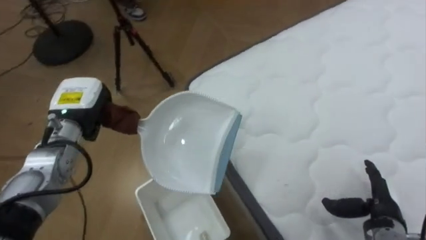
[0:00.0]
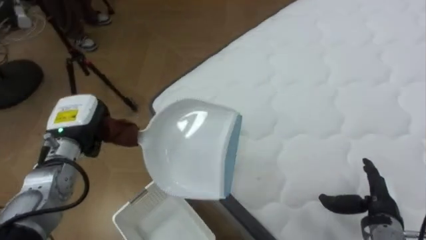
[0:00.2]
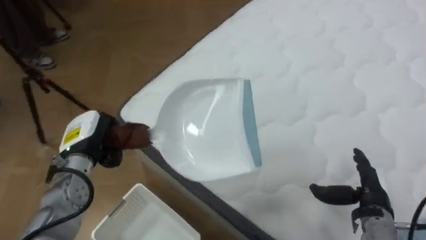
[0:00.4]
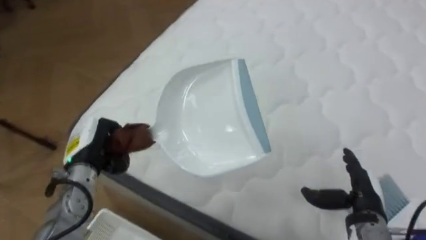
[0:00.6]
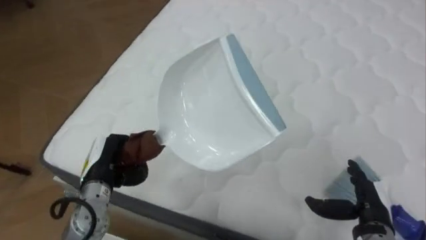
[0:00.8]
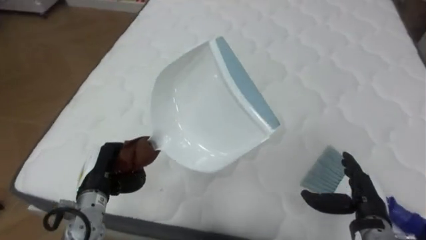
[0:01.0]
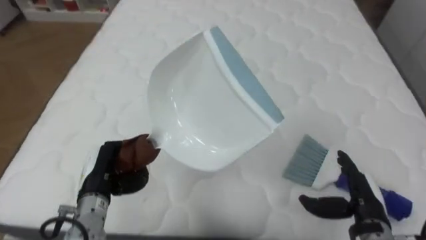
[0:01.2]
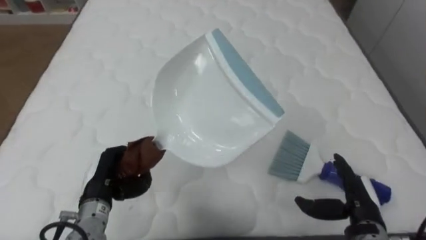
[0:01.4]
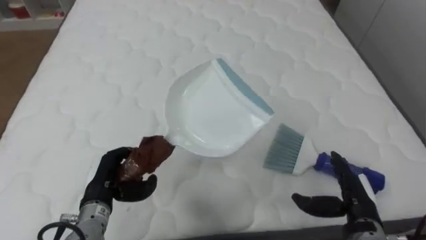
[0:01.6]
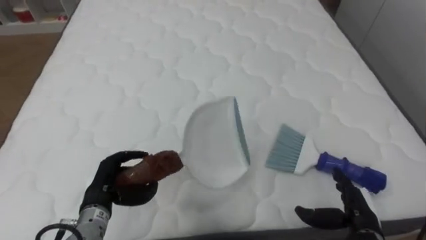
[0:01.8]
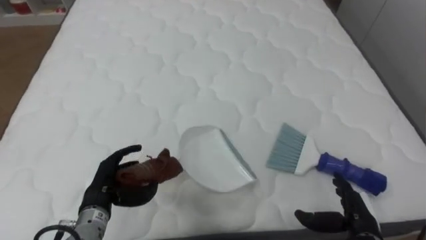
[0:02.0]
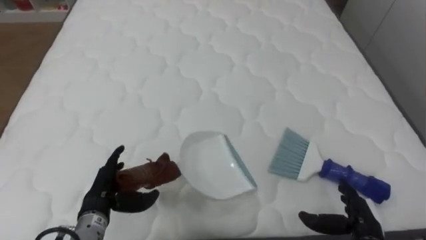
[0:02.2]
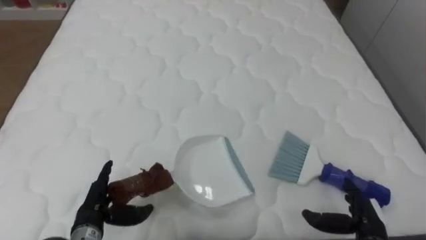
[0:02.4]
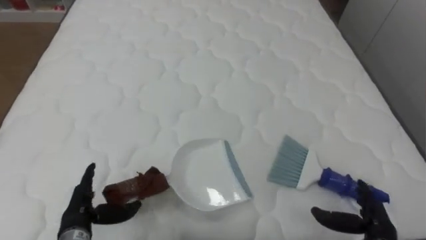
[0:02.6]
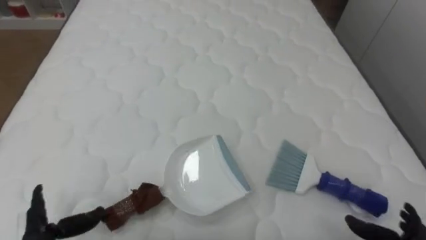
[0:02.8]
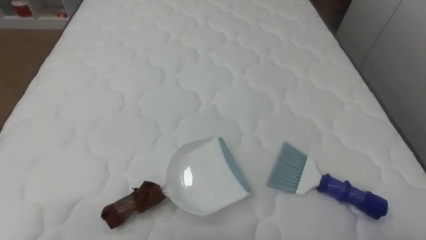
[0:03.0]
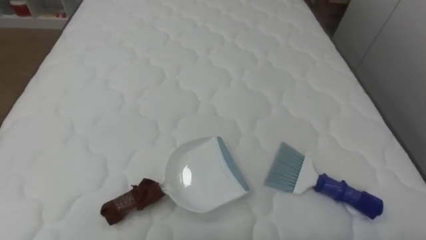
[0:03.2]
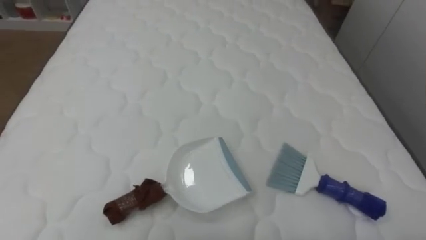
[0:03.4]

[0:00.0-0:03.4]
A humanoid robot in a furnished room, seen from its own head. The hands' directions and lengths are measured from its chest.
Task of the whole recording: Pick up the brush on your right and the dustpan on your left. Use the brush to sweep the crumpled paper on the bed into the dustpan, then turn left and empty it into the basket.
0:00.0 to 0:01.6: The robot rotates approximately 70 degrees to its right. The left hand goes roughly 15 cm backward and downward, while the right hand heads to the left, covering roughly 5 cm.

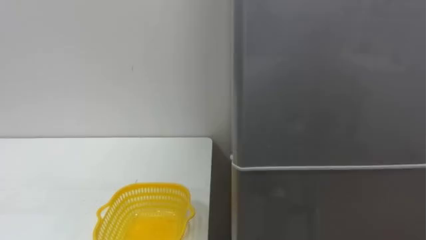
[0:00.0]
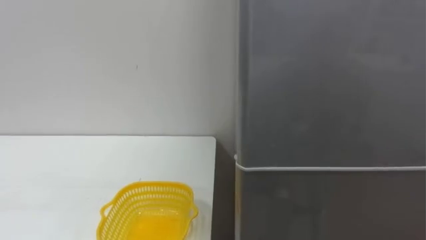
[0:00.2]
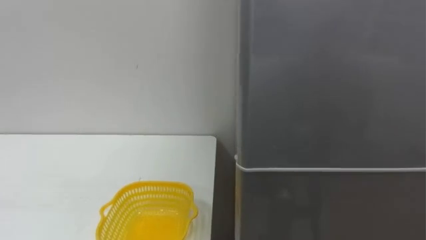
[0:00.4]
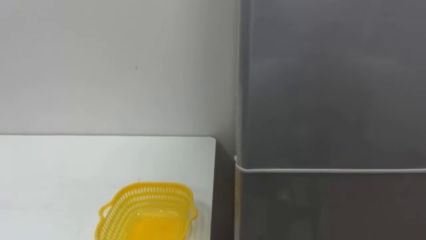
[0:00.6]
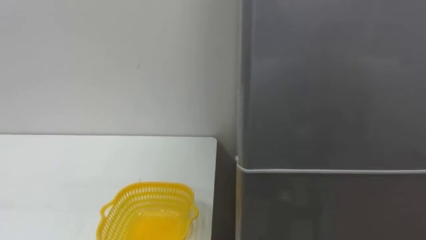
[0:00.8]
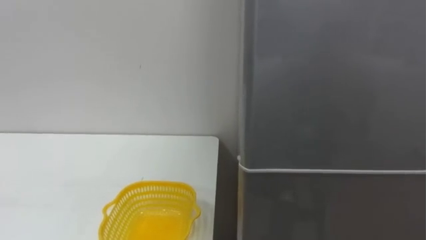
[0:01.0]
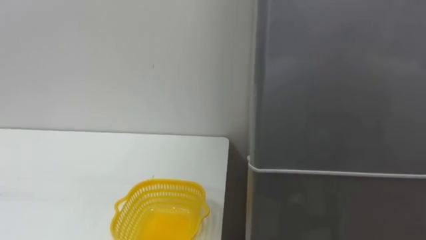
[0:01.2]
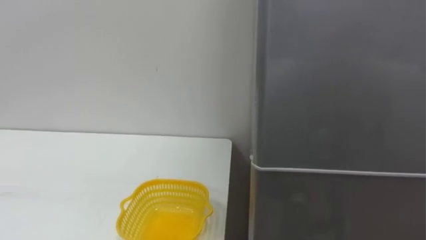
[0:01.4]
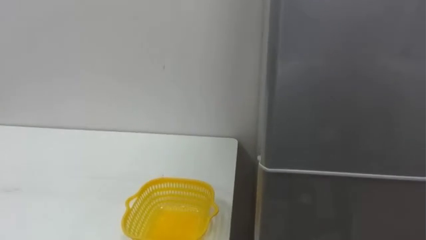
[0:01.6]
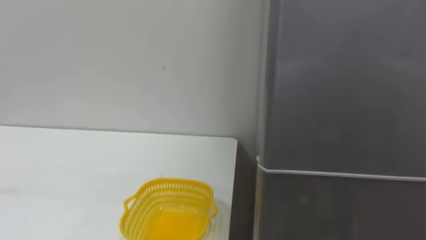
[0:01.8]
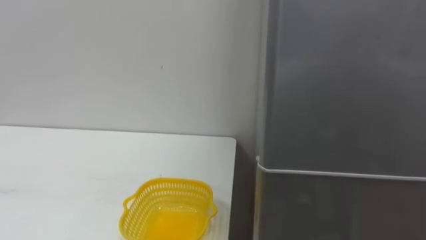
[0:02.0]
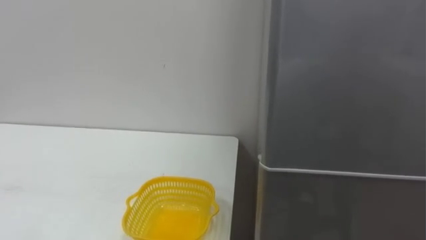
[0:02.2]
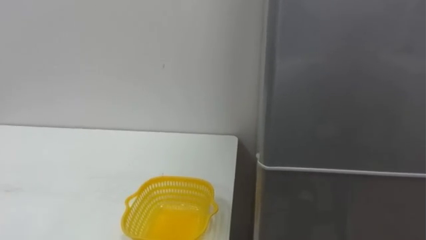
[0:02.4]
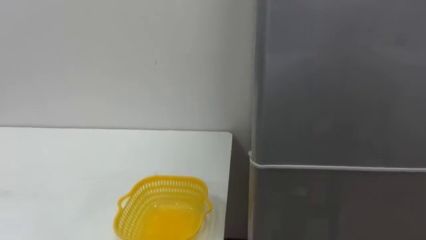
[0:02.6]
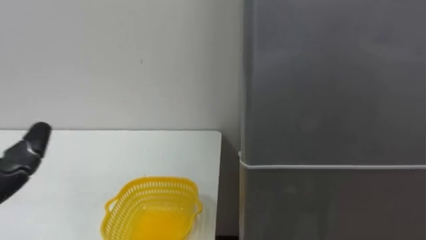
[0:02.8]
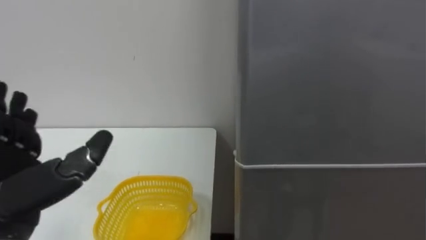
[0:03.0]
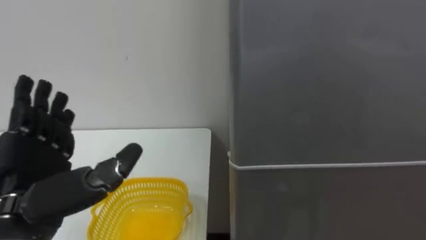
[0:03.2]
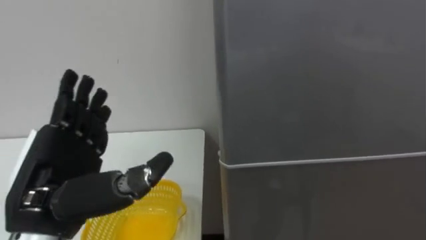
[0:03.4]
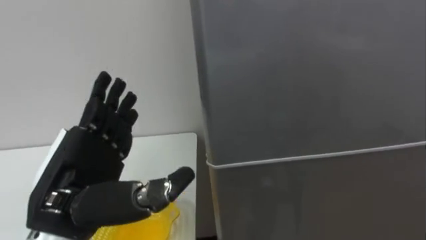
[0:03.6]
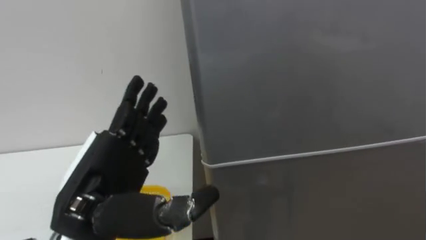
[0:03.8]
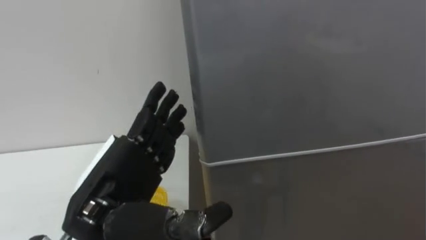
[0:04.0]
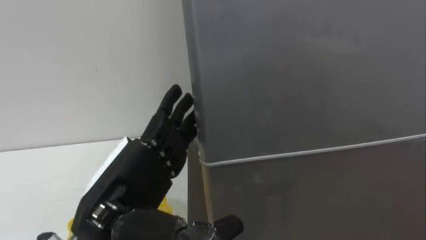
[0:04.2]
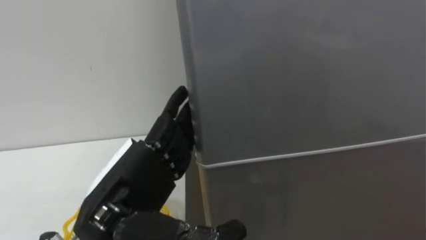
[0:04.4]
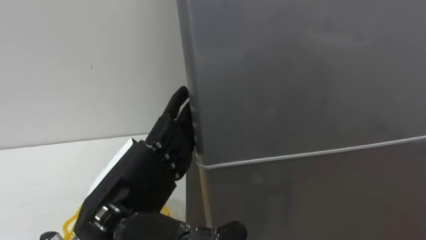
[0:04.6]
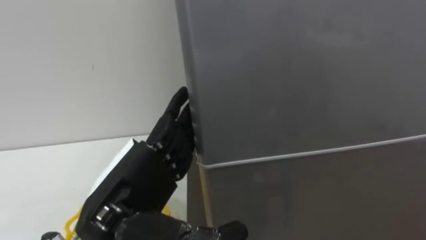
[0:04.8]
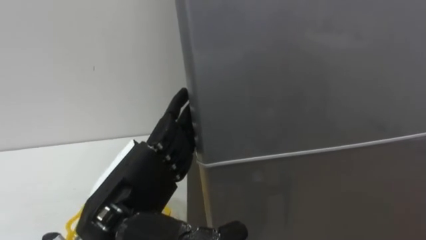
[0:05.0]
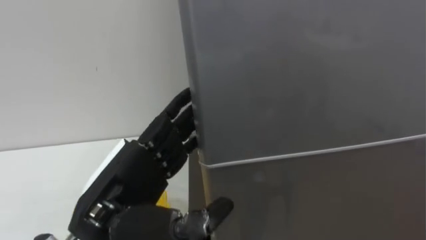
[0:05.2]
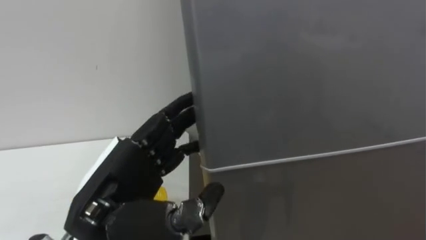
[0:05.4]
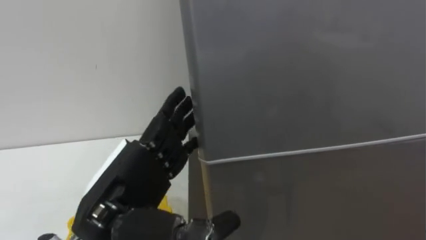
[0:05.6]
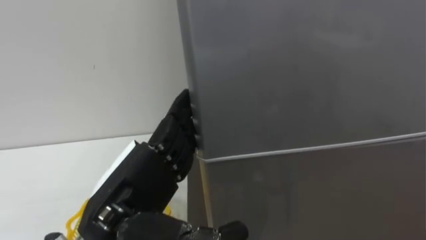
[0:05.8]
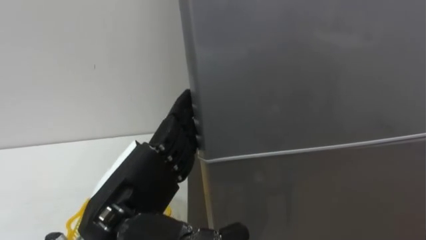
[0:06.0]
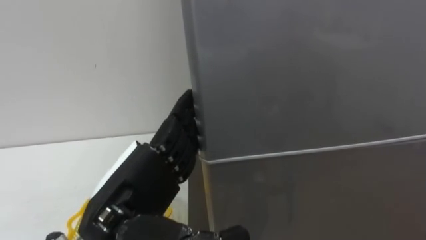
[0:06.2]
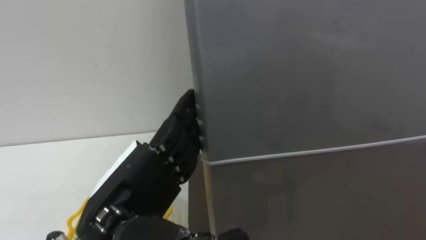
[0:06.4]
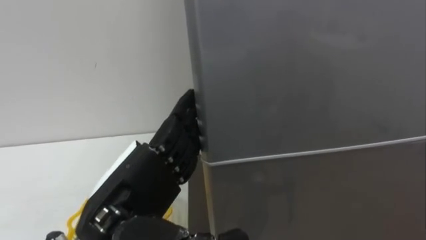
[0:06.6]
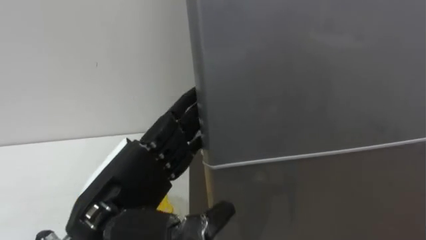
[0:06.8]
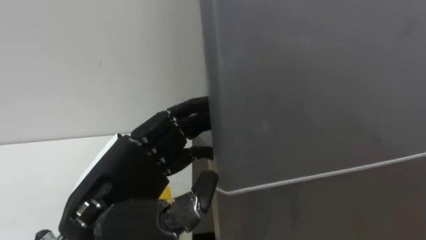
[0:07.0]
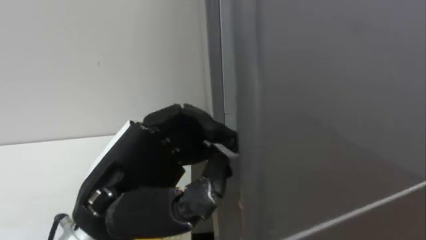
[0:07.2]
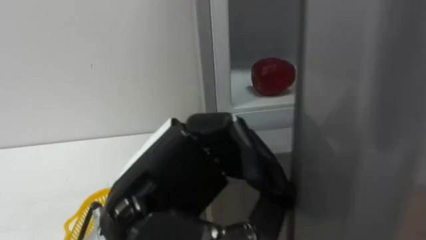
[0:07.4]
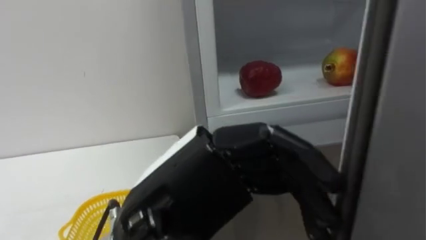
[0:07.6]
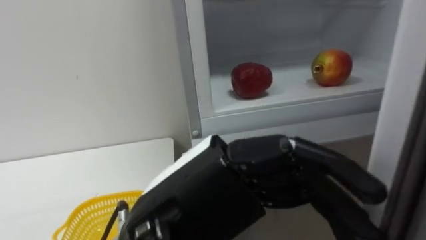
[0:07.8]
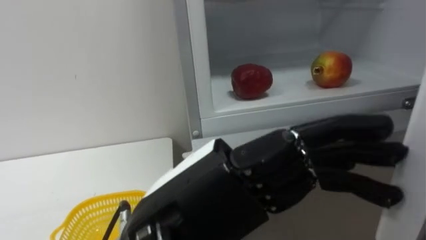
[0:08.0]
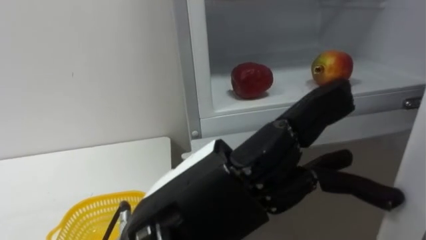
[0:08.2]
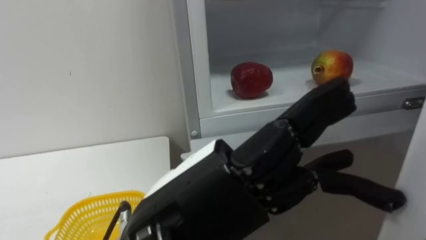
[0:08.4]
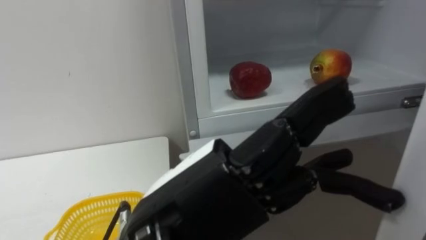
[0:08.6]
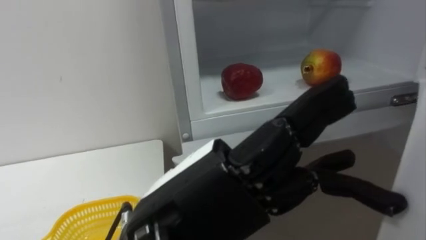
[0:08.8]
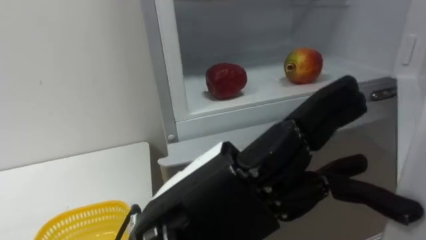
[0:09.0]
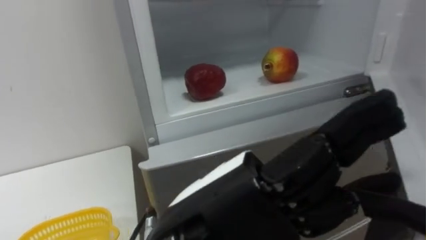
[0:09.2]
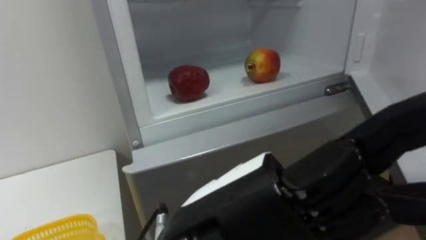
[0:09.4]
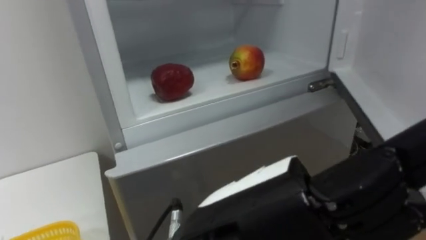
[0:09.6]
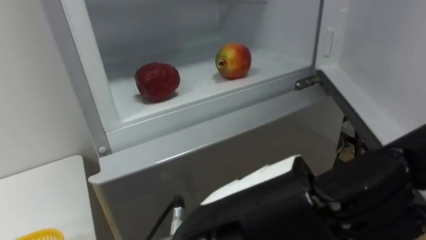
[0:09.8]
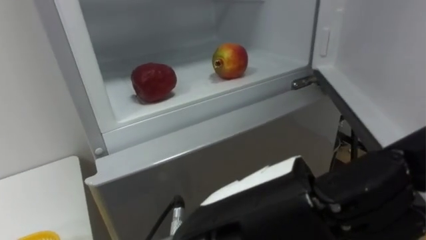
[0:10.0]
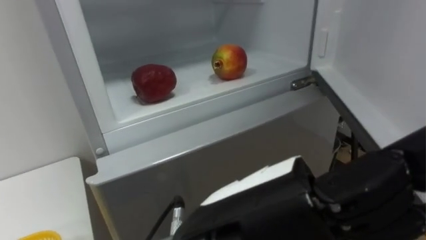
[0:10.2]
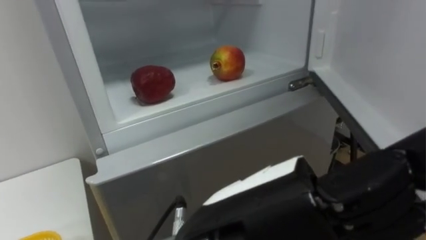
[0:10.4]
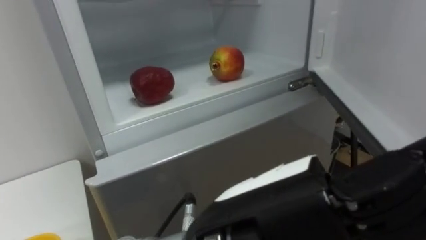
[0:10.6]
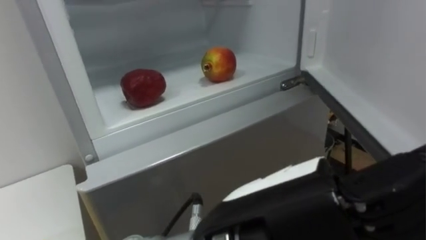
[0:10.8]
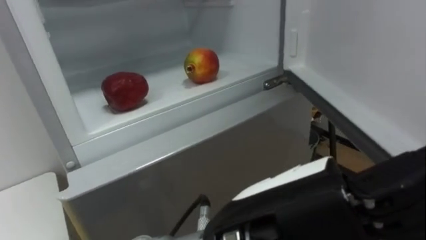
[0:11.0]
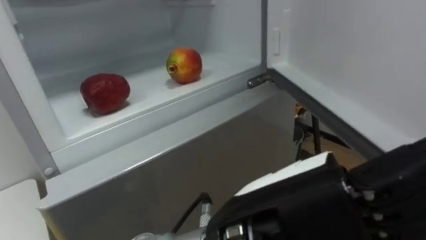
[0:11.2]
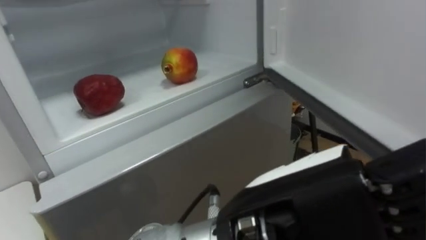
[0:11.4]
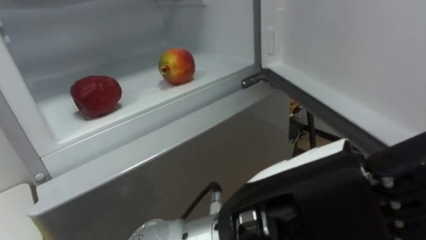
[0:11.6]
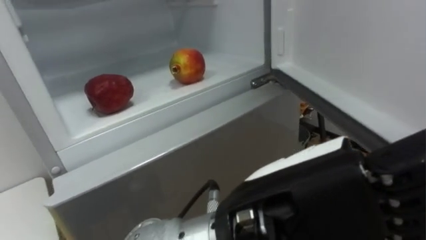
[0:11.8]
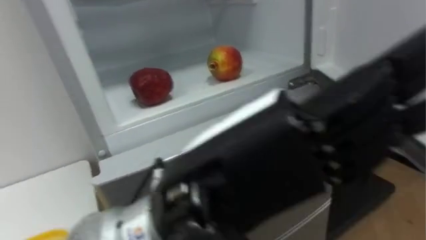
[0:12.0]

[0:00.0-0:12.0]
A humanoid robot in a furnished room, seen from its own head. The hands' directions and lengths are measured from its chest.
Task of the whole recording: Open the refrigerator door, take out the apple and the pomegranate, place them in the fruit basket on the left, and close the refrigerator door.
0:06.0 to 0:07.6: The left hand is displaced to the right by roughly 5 cm, and closes.
0:07.6 to 0:09.0: The left hand opens its fingers.

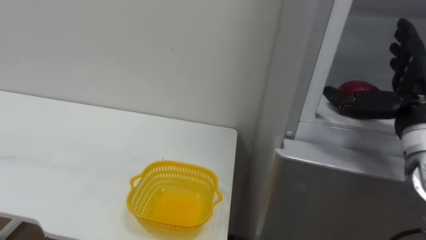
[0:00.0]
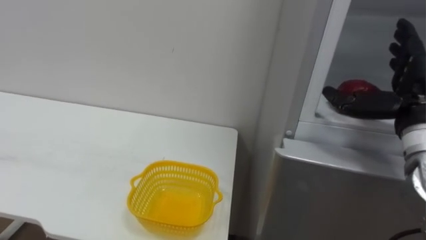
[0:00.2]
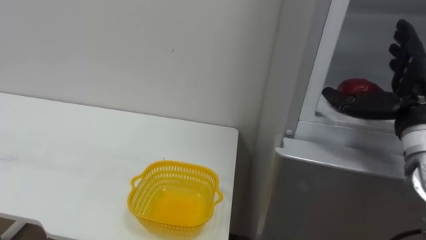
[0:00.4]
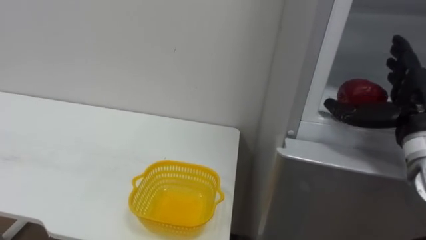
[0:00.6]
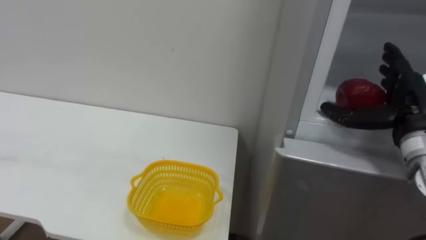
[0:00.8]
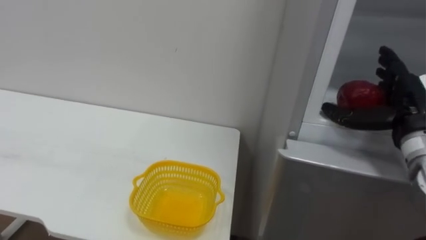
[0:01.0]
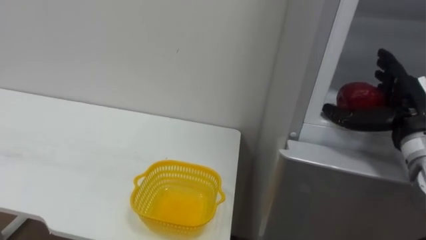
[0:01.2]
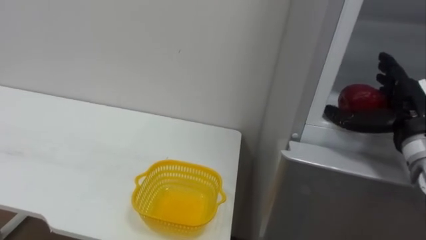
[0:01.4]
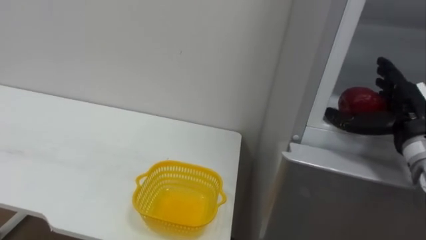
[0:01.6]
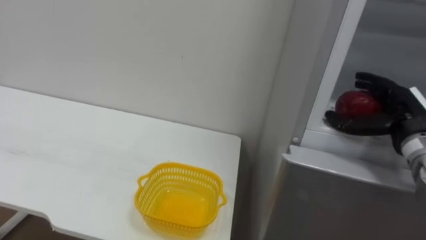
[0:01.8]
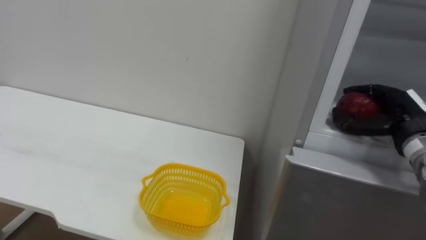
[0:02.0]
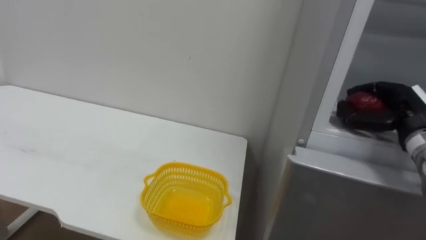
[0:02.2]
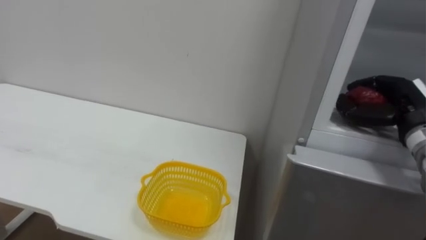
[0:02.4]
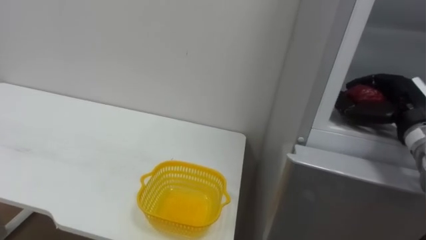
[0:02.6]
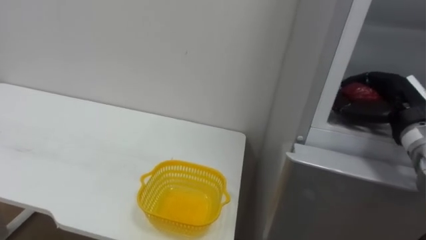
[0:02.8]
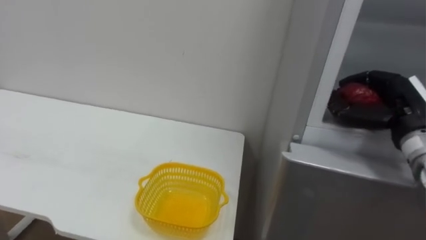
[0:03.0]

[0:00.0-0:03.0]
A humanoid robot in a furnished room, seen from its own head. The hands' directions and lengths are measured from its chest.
Task of the whole recording: Open the refrigerator door, take out the apple and the pomegranate, place them in the fruit basket on the left, and close the refrigerator door.
0:00.0 to 0:01.6: The right hand moves roughly 5 cm.
0:01.6 to 0:03.0: The right hand closes its fingers.
